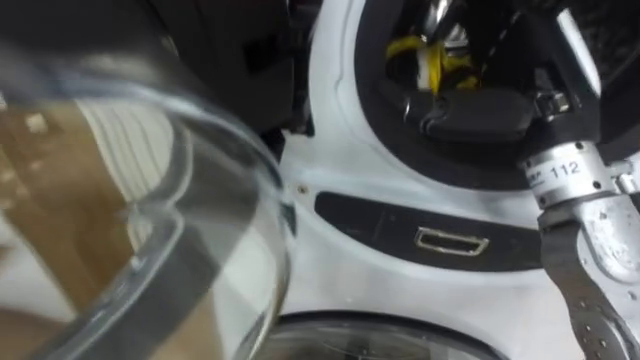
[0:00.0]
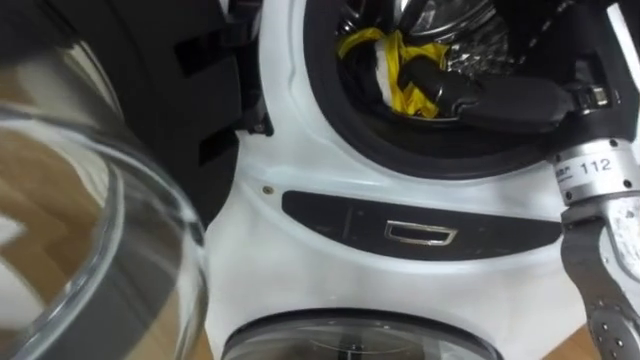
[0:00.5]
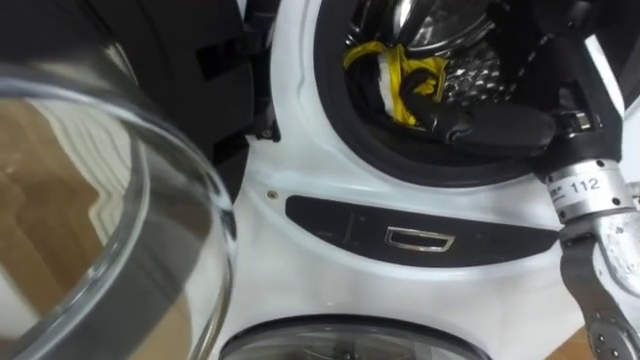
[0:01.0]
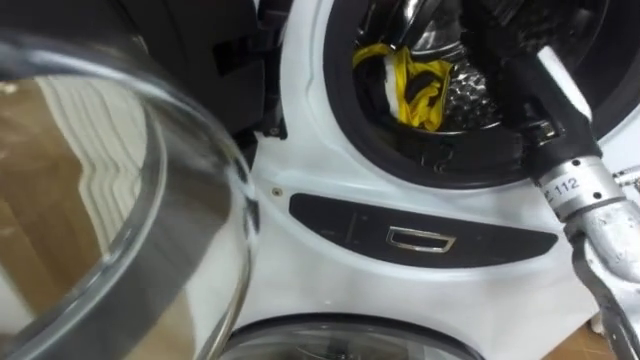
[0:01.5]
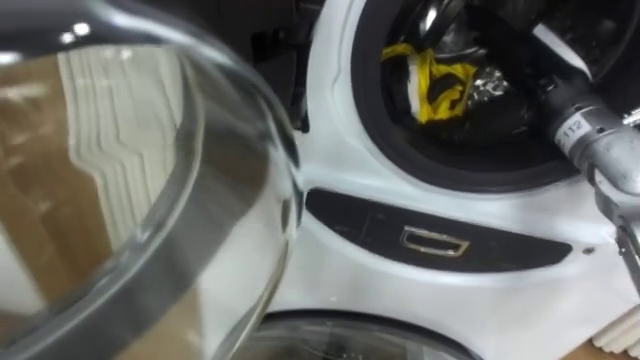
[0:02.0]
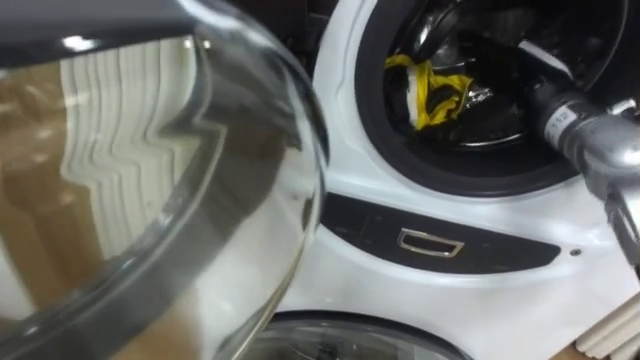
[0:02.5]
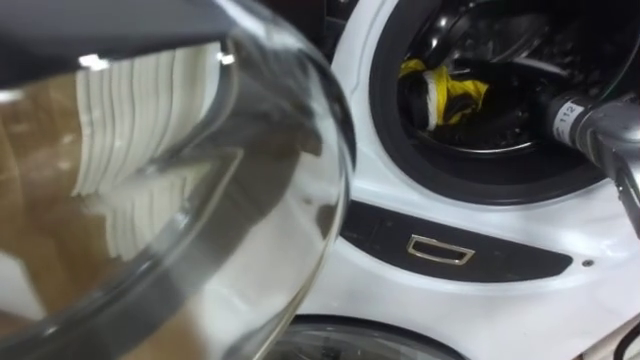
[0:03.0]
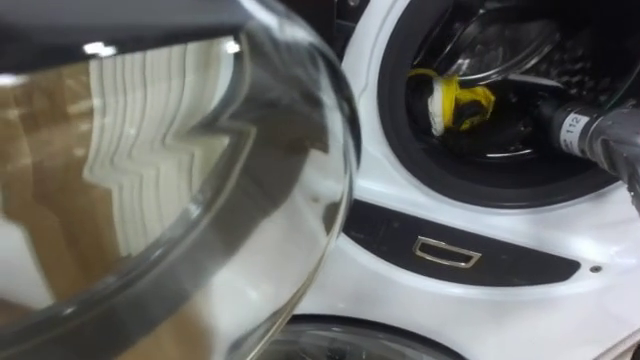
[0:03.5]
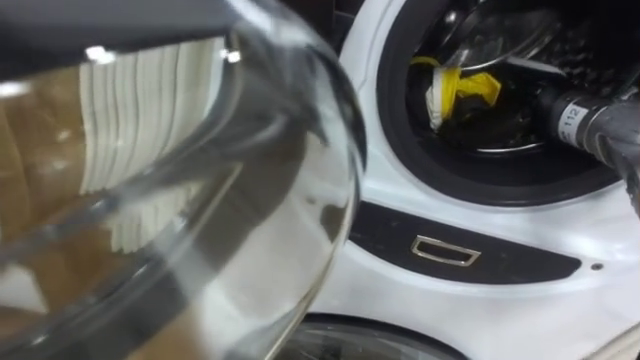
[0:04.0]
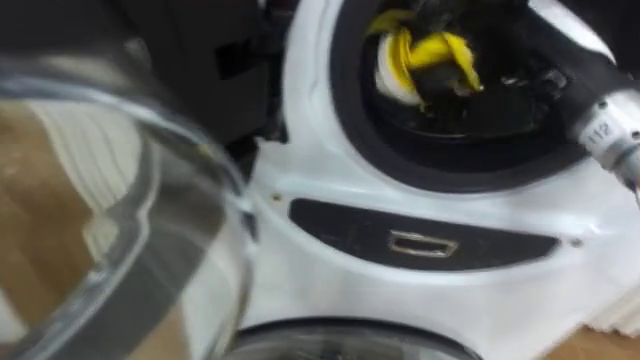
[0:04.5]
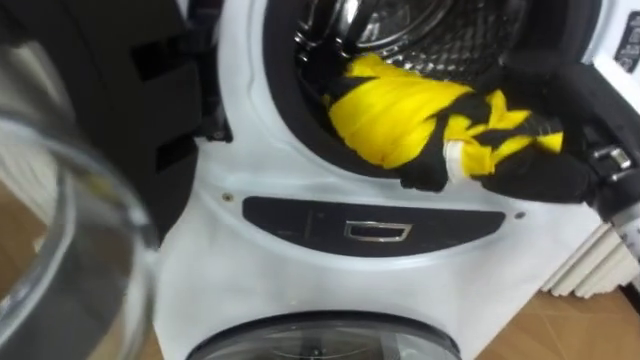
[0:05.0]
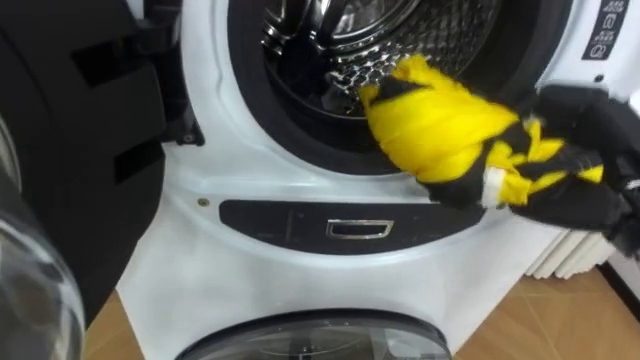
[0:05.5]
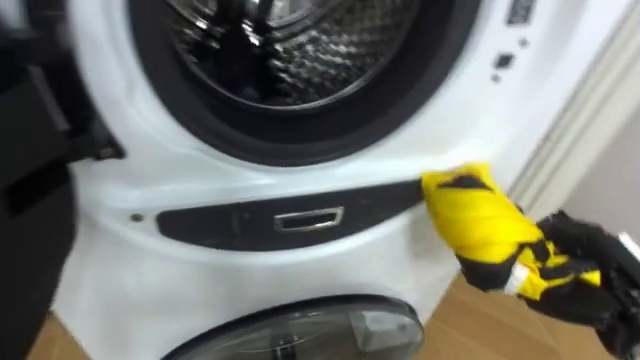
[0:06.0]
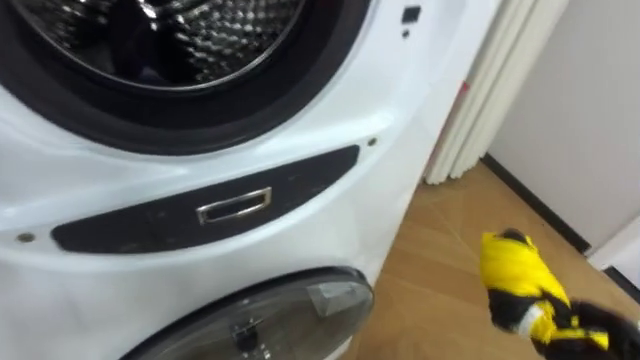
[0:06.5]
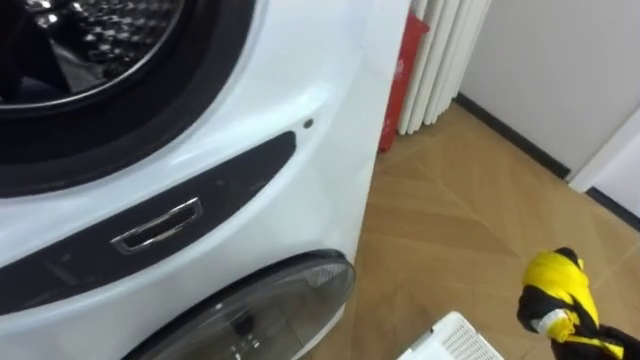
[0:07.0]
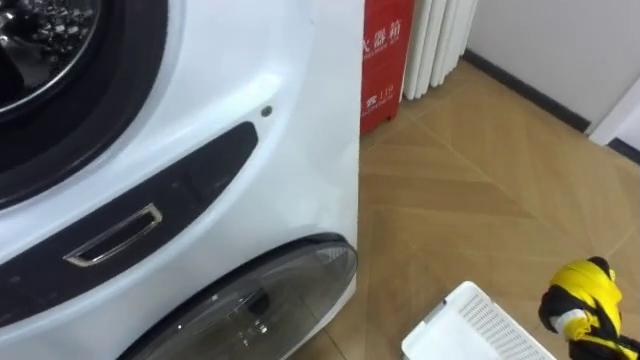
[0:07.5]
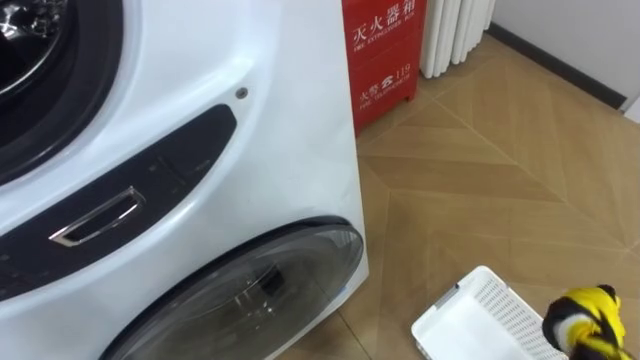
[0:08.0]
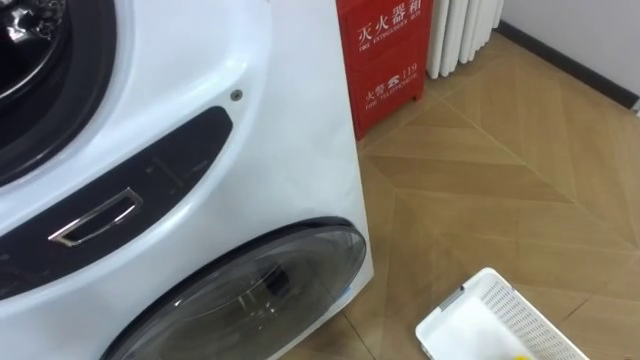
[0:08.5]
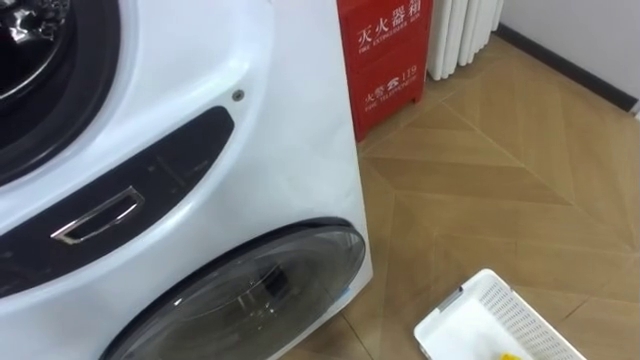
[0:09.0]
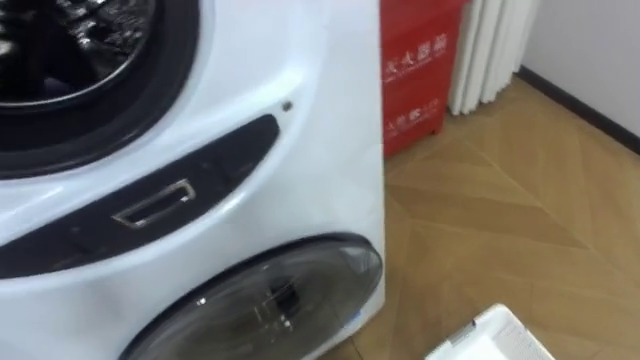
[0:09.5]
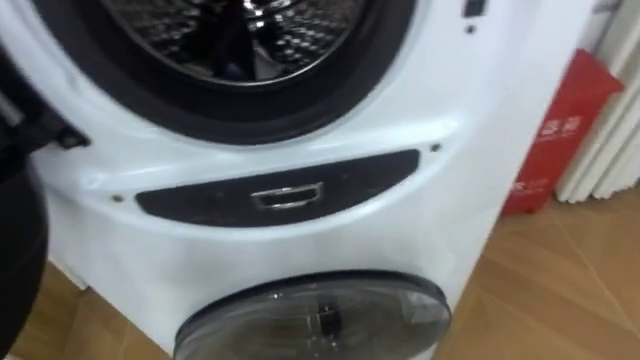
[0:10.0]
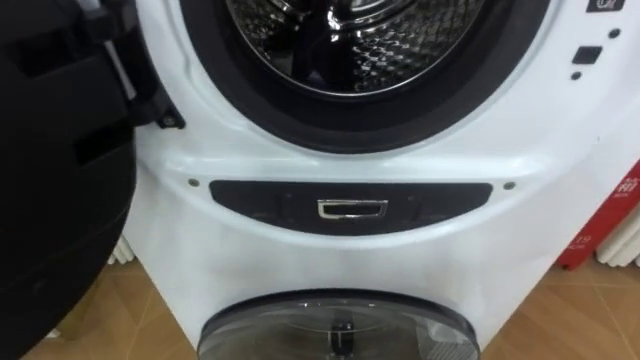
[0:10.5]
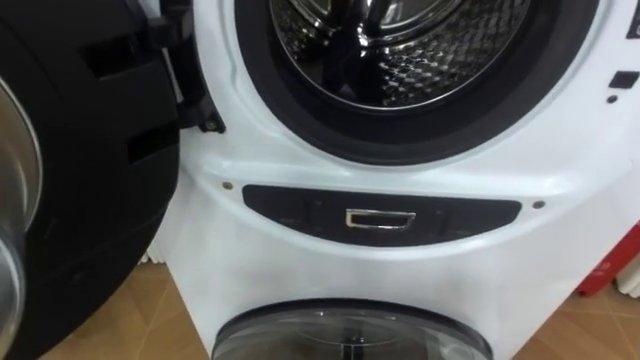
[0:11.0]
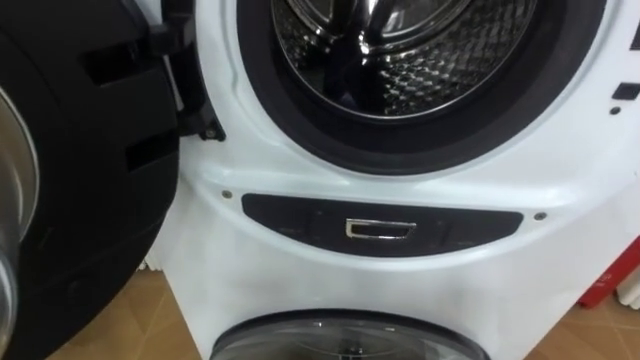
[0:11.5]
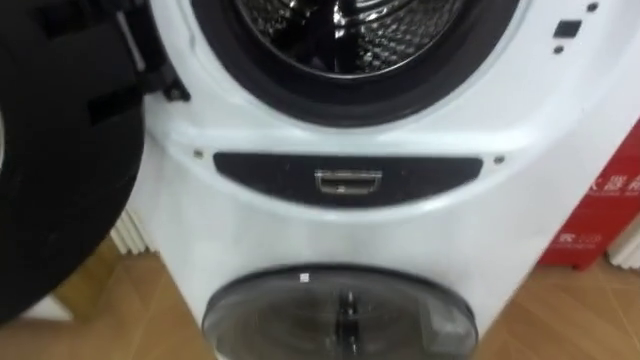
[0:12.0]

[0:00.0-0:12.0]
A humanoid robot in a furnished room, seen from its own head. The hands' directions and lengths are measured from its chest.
Task of the whole recording: Open the washing machine door, take out the yellow clothes, place them in the box on the right, and close the washing machine door.
0:00.0 to 0:02.0: The right hand is displaced forward by approximately 10 cm.
0:02.0 to 0:04.0: The right hand closes.
0:04.0 to 0:06.0: The right hand shifts roughly 20 cm backward and downward.

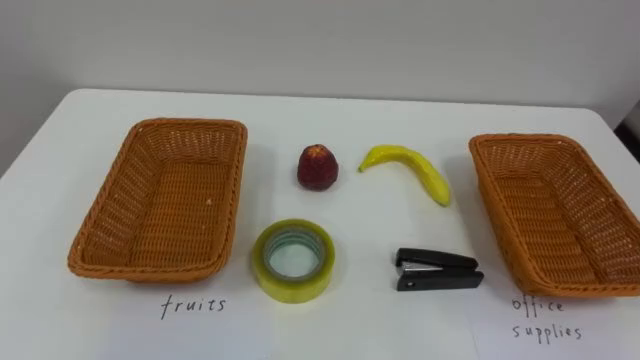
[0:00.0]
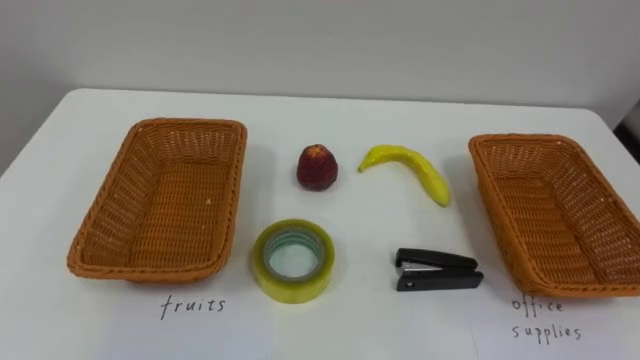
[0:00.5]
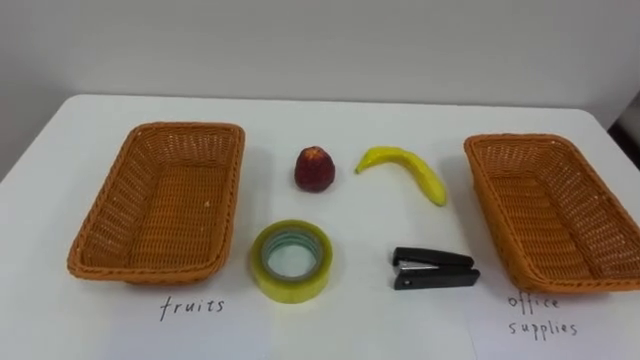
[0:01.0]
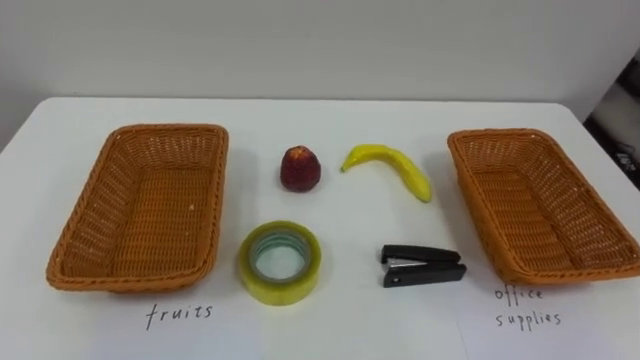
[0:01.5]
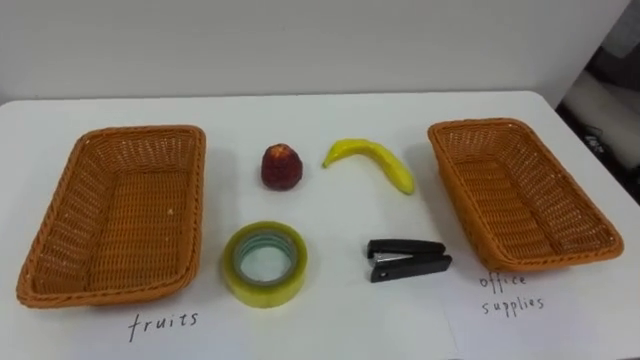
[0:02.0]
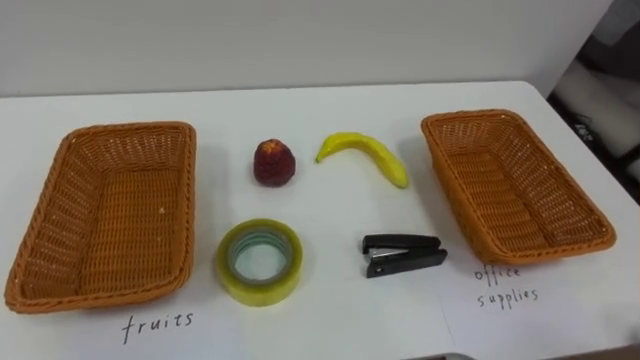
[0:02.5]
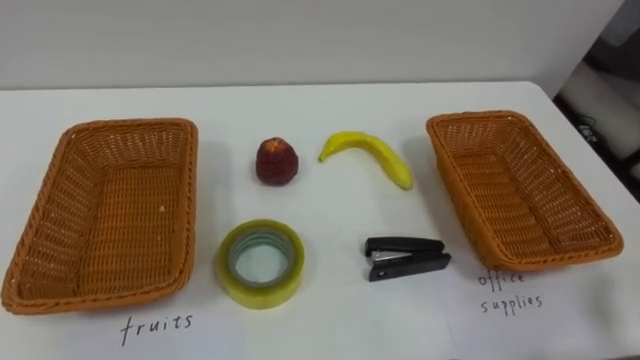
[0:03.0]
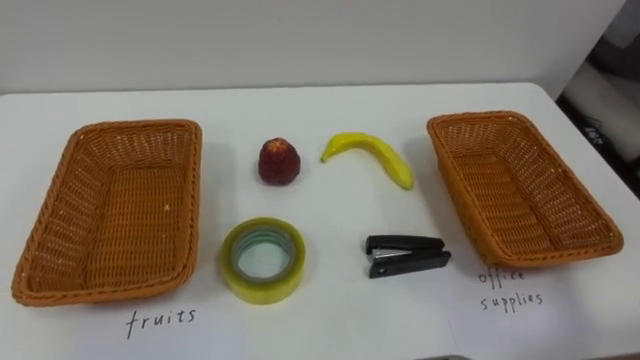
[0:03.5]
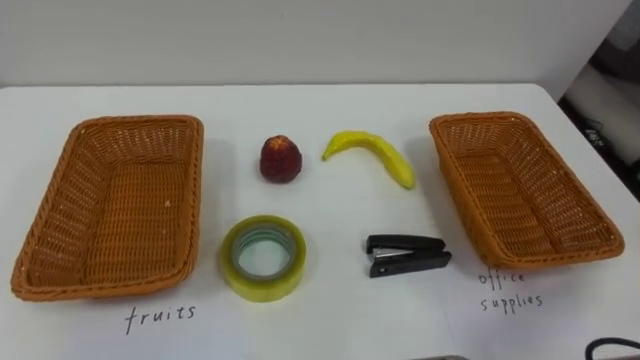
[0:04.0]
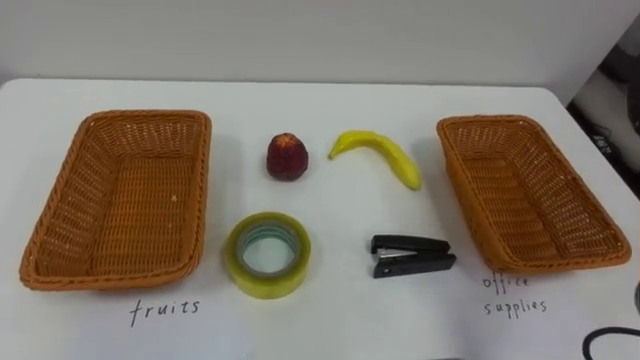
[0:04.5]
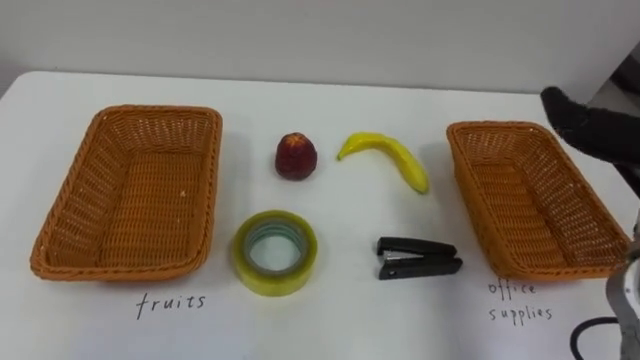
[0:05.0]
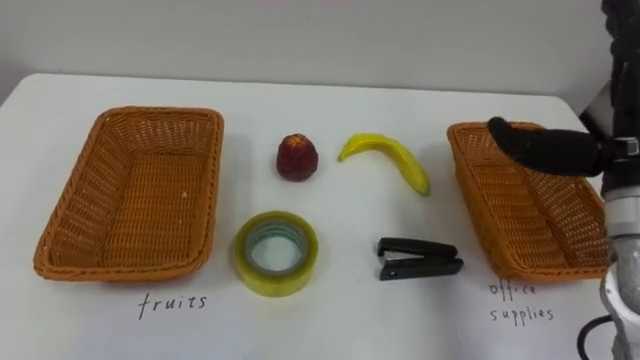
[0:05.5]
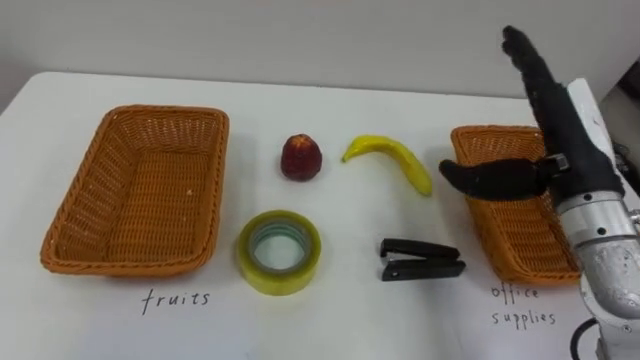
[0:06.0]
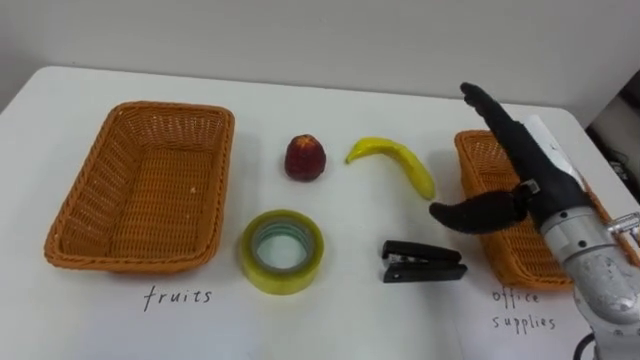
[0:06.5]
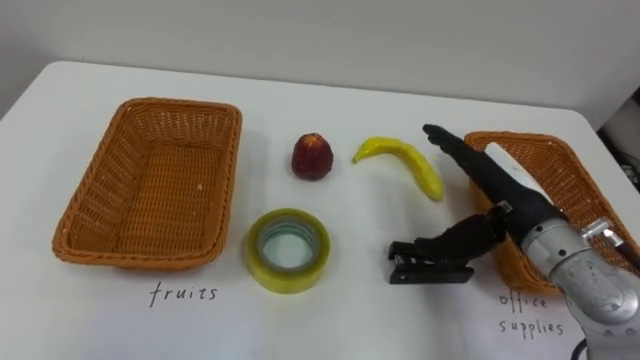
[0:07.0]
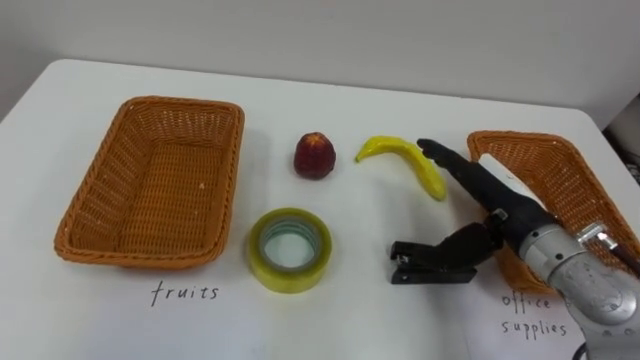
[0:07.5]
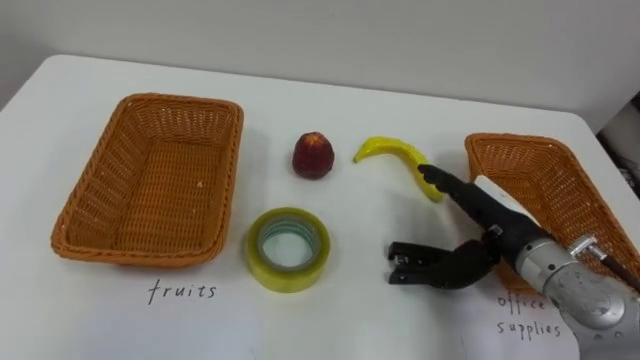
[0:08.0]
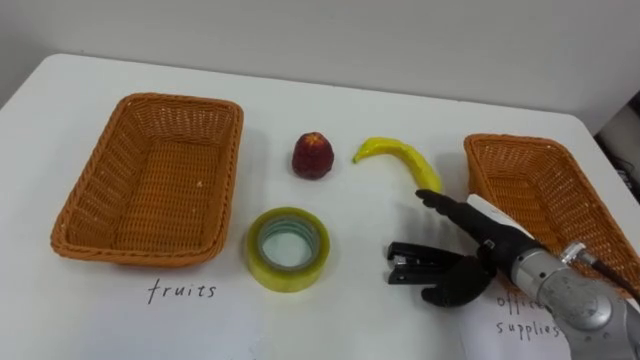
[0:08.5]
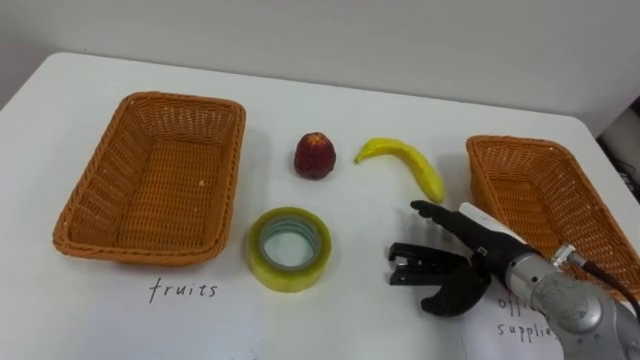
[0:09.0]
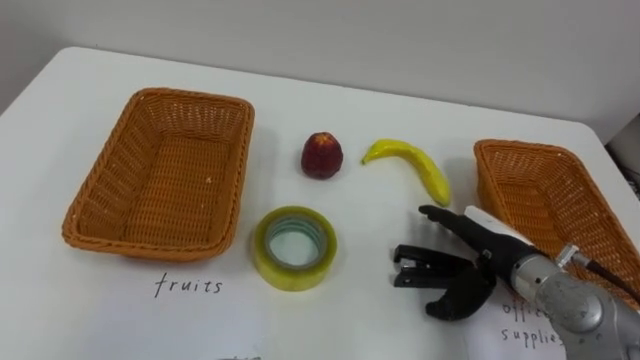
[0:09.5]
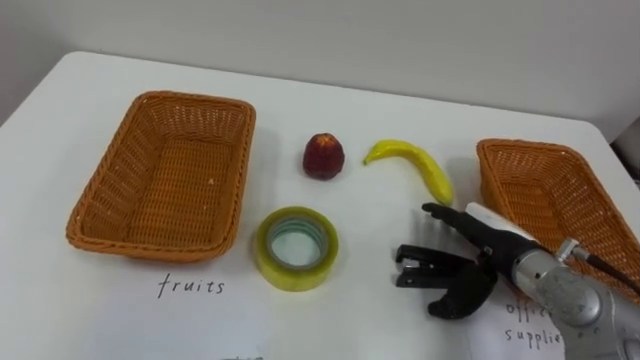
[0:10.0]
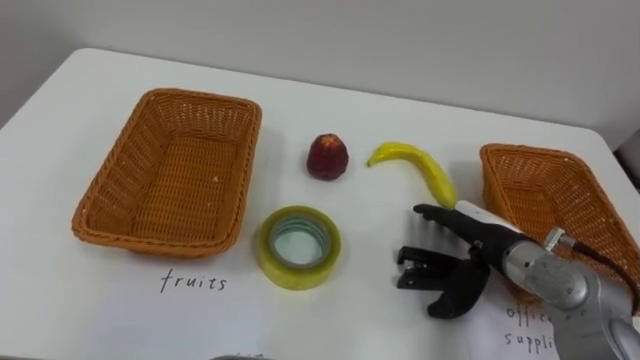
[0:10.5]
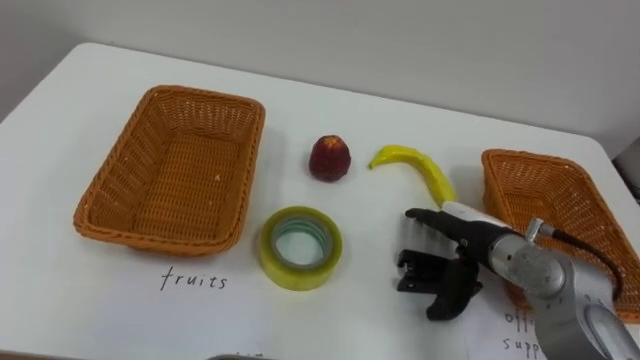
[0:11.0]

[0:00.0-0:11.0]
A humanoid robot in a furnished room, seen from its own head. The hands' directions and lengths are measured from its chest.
Task of the whole recording: Separate the items on the table and place them into the two baskets.
0:05.5 to 0:07.5: The right hand is displaced downward and to the left by about 15 cm.
0:07.5 to 0:09.0: The right hand shifts approximately 5 cm downward.
